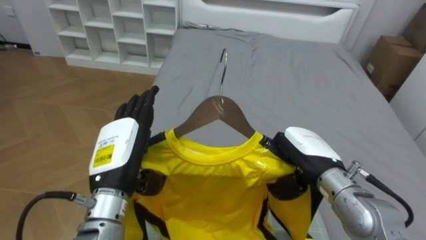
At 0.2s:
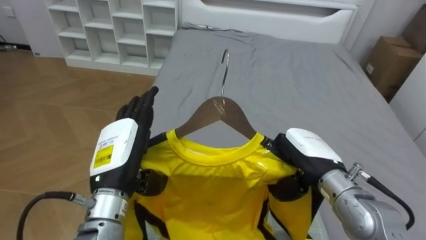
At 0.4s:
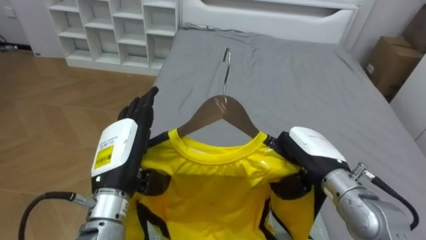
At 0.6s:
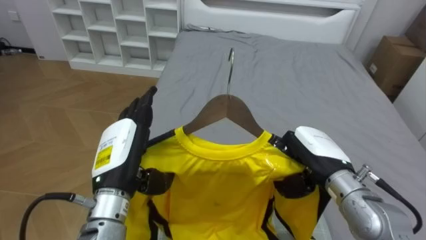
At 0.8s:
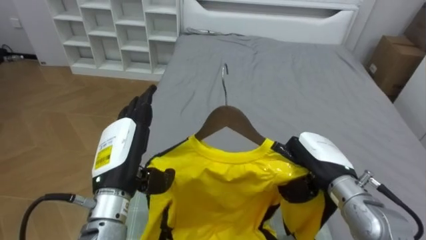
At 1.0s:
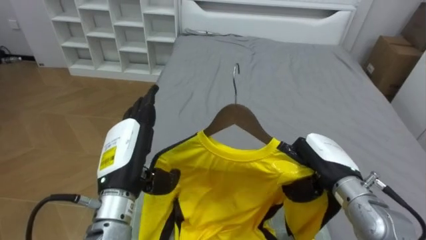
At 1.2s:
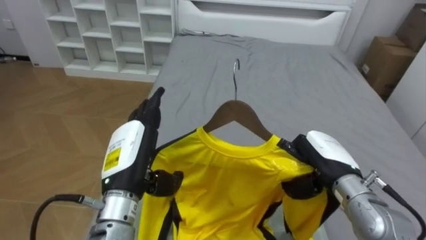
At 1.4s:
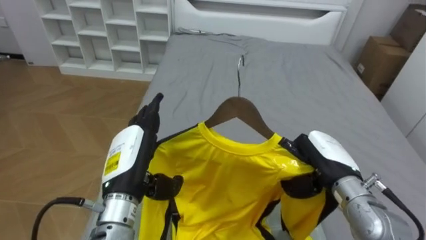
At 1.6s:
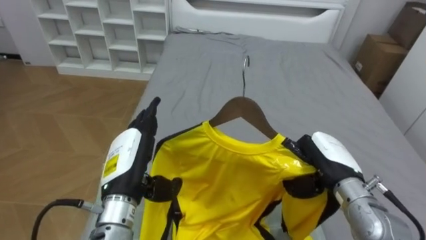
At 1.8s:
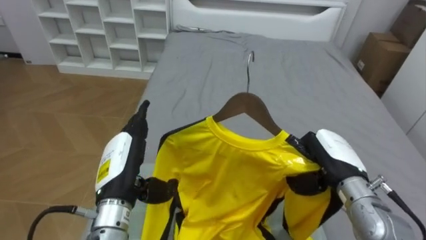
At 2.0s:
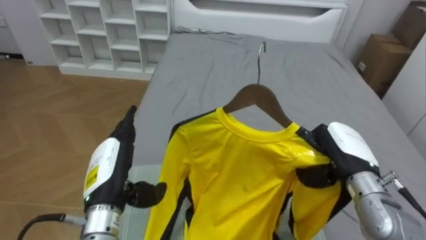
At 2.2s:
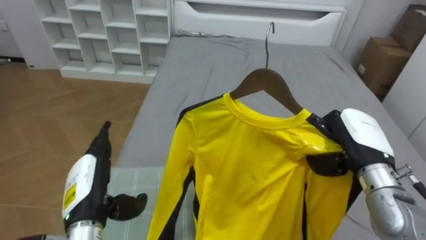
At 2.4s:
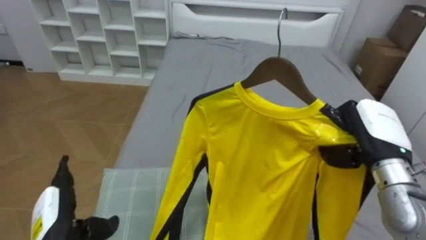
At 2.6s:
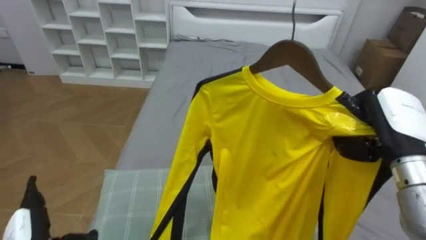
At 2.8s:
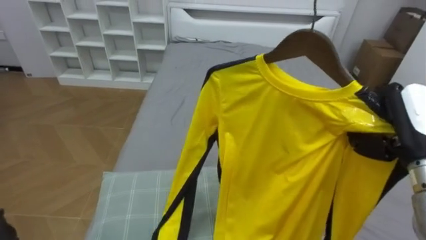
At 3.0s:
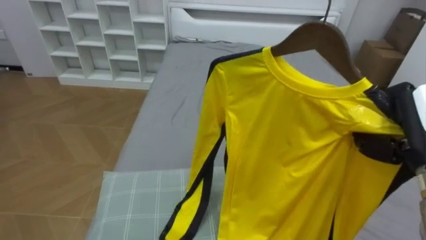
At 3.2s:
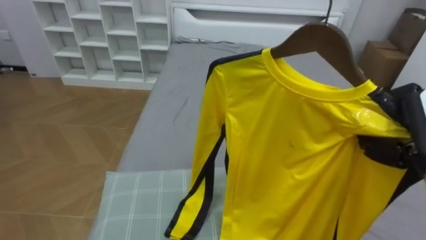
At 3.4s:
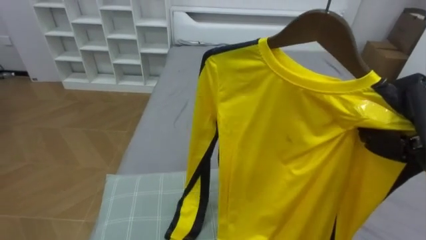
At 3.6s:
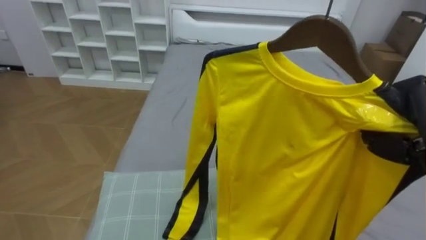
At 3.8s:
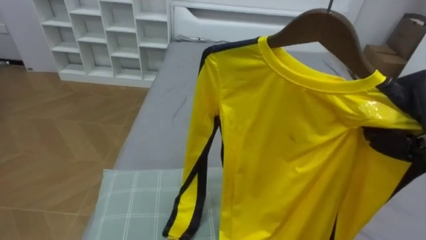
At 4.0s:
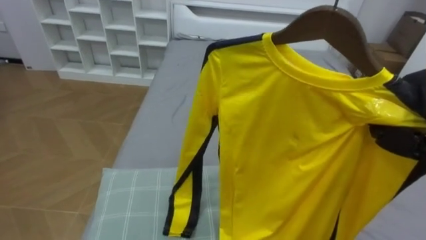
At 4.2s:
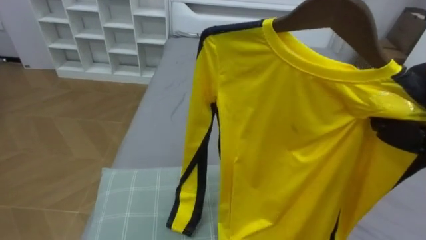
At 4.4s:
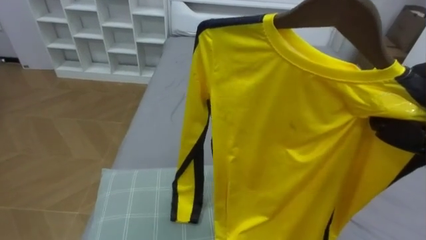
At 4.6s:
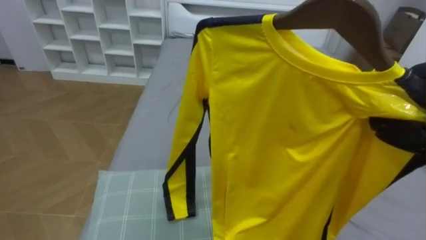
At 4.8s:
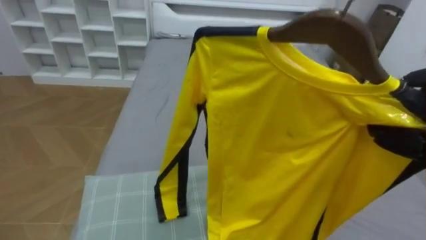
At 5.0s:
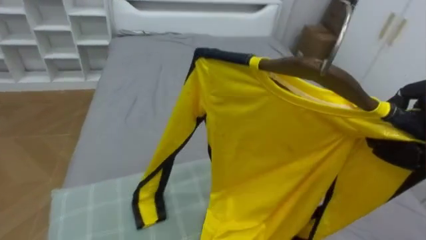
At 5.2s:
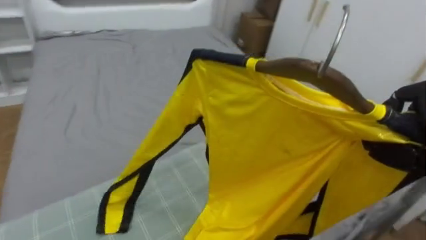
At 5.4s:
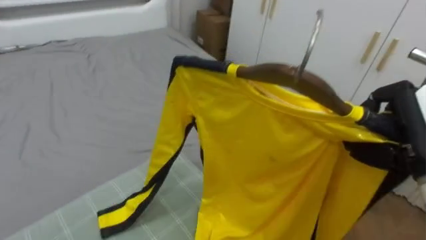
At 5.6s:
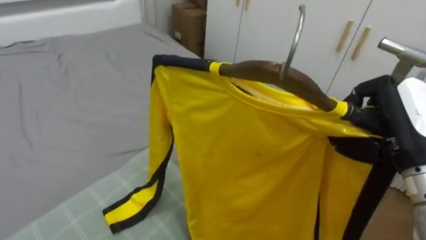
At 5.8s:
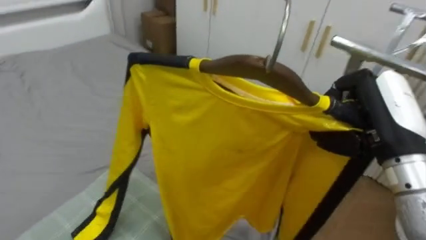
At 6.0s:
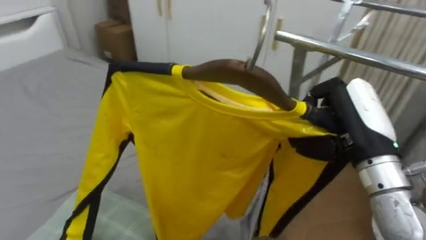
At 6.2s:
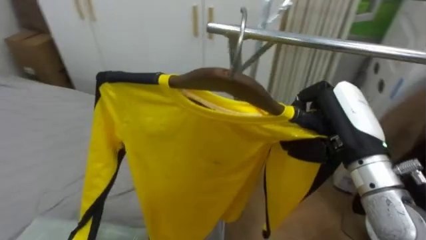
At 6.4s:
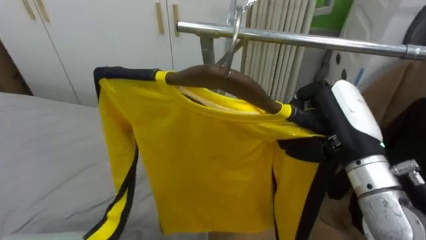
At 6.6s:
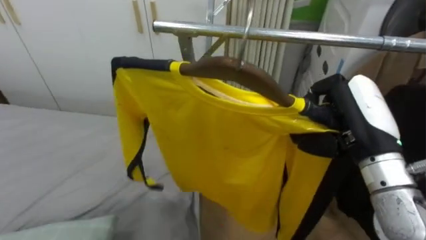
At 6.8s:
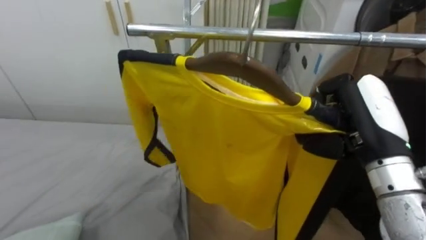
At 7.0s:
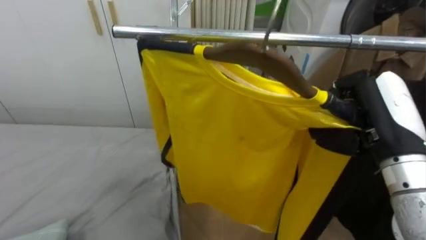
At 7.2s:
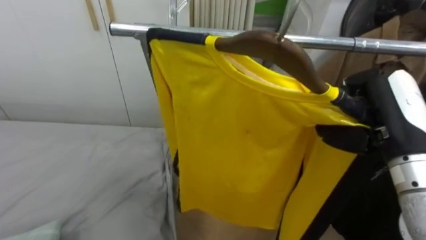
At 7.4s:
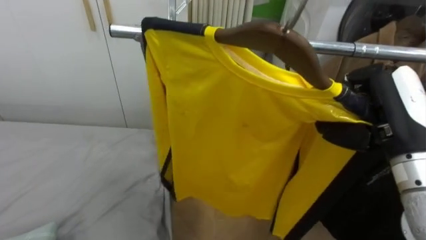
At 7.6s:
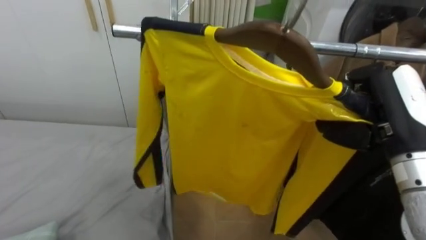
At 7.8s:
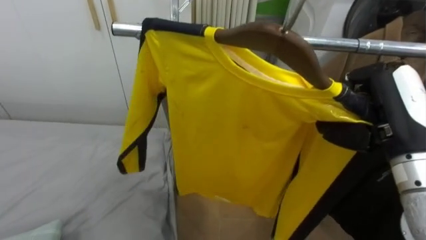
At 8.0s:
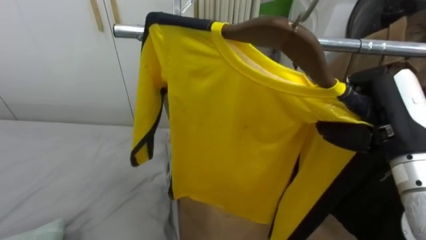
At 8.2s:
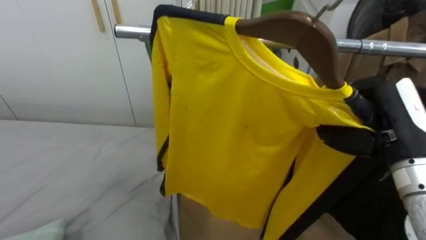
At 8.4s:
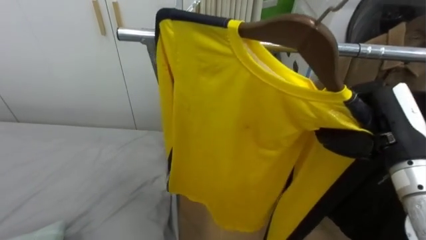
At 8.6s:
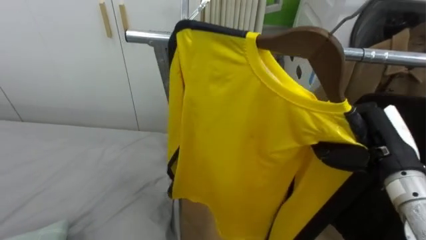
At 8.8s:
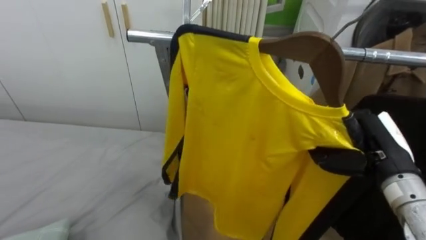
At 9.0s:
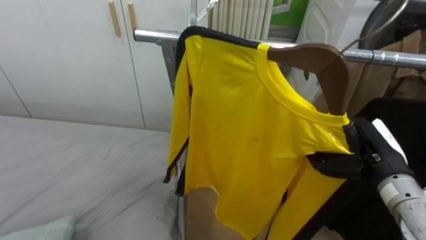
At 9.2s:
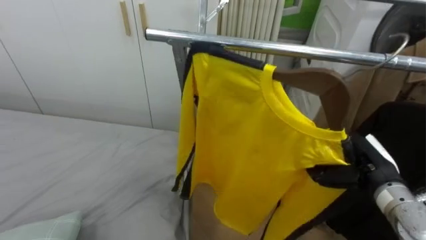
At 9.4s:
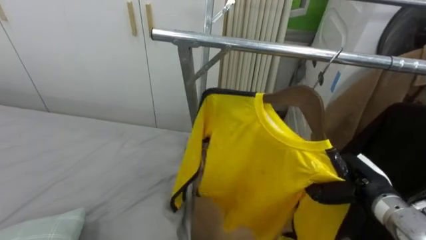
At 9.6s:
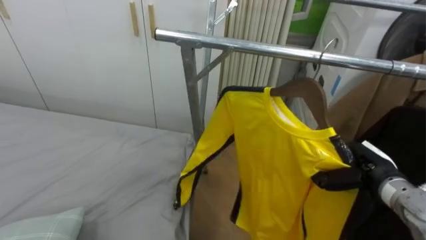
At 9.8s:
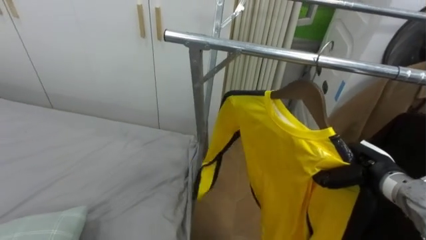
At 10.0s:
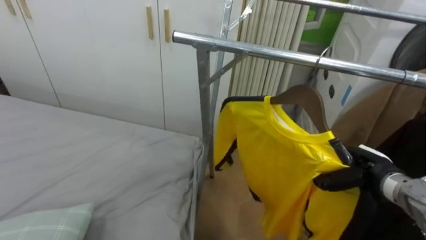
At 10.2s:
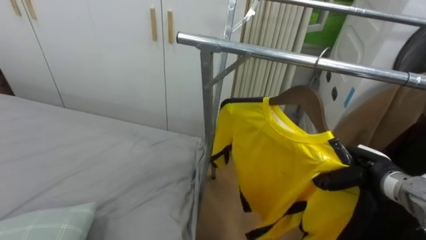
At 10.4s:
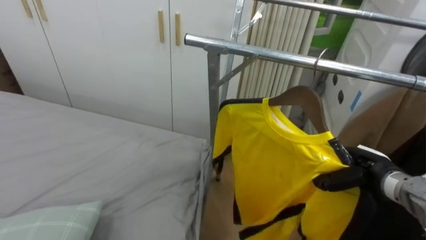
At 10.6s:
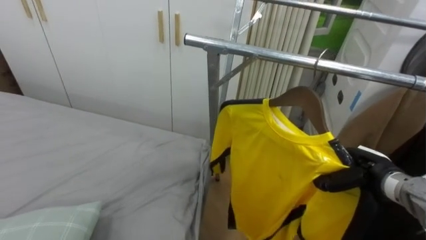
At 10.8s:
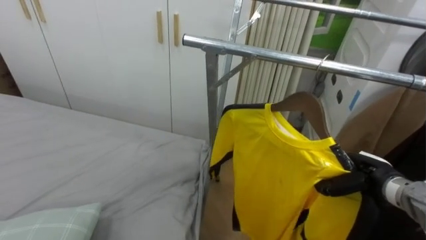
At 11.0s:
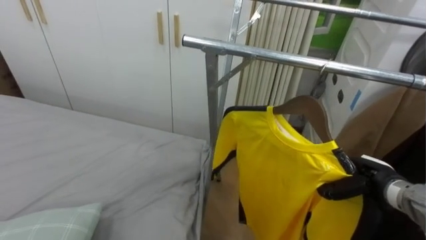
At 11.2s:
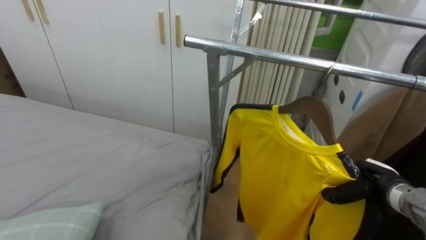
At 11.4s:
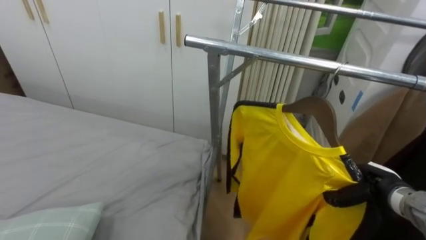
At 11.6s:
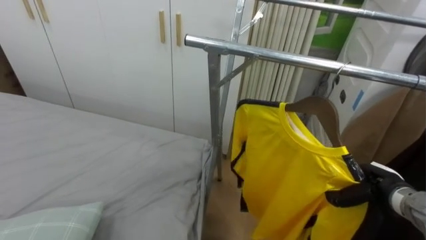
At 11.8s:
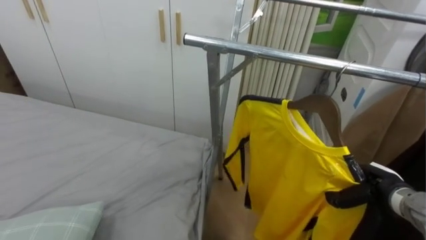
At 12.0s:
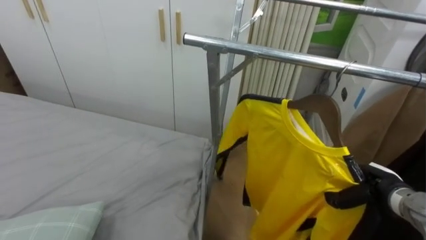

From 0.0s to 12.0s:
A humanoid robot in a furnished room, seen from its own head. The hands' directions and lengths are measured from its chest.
Task of the whole recording: Pick up the yellow shirt on the bed and hang it on the clothes rack on the right.
From 0.0s to 1.6s: The right hand changes place by about 5 cm.
From 1.6s to 3.0s: The right hand is displaced upward and to the right by some 15 cm.
From 4.4s to 6.0s: The robot faces about 60 degrees further to its right.
From 6.0s to 7.6s: The robot's body swings roughly 30 degrees to its right.
From 7.6s to 9.0s: The right hand travels downward by about 10 cm.
From 9.0s to 10.4s: The right hand shifts roughly 10 cm downward.

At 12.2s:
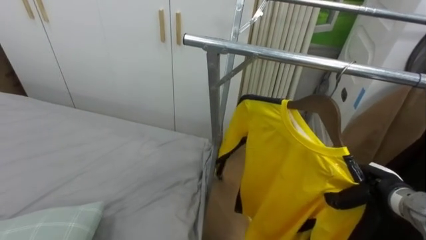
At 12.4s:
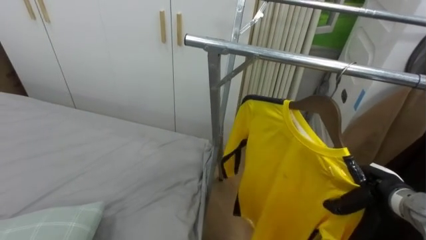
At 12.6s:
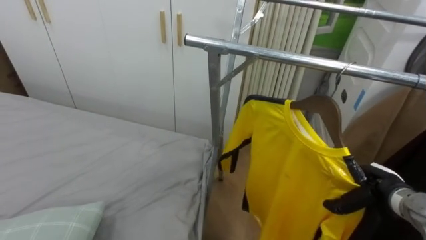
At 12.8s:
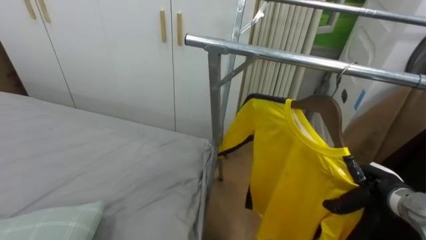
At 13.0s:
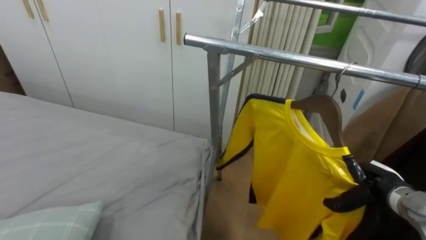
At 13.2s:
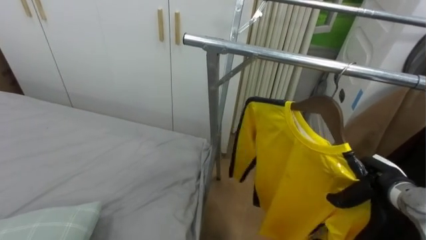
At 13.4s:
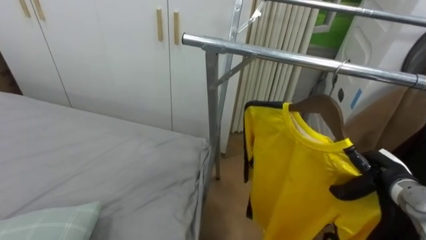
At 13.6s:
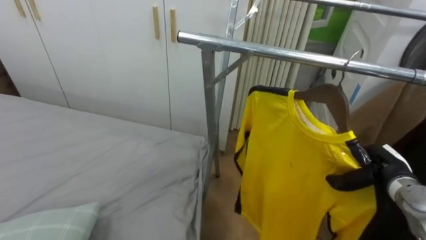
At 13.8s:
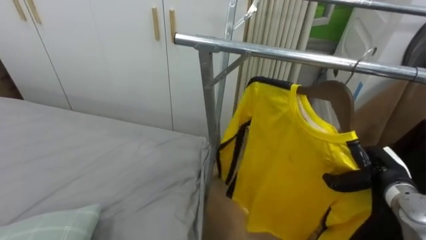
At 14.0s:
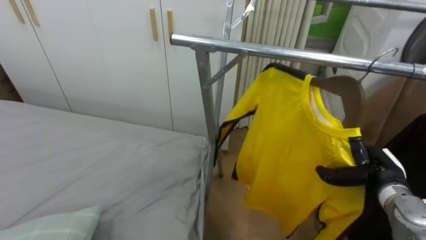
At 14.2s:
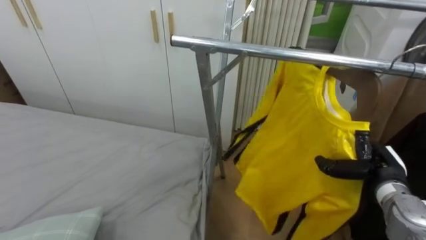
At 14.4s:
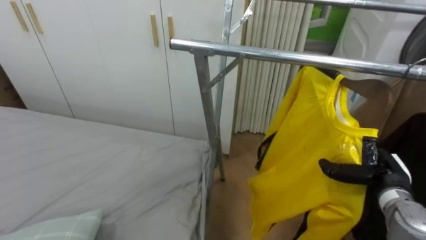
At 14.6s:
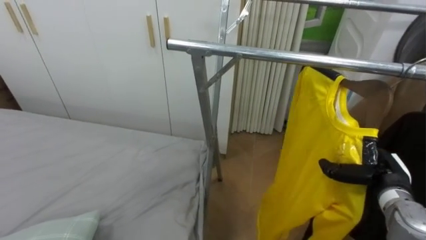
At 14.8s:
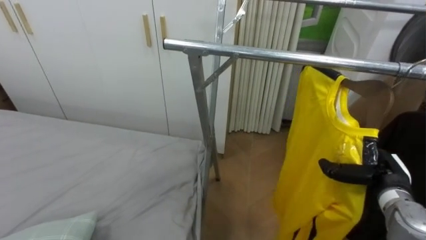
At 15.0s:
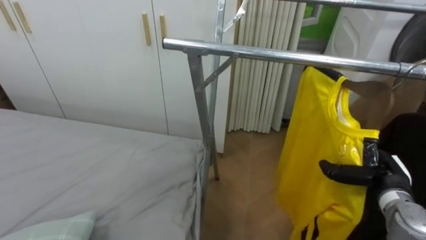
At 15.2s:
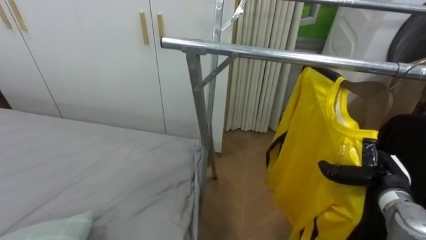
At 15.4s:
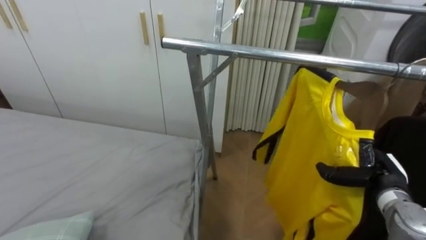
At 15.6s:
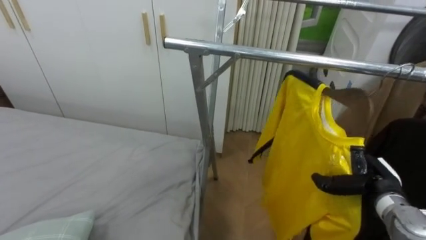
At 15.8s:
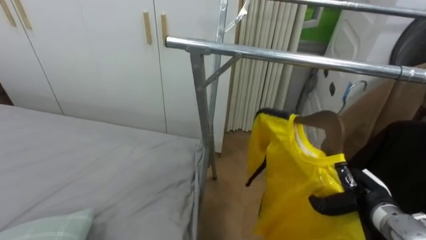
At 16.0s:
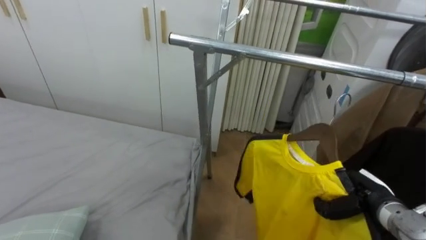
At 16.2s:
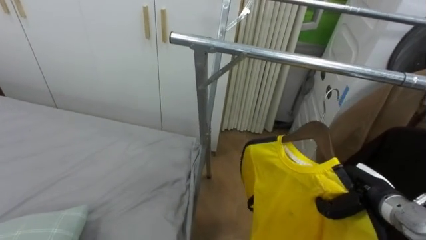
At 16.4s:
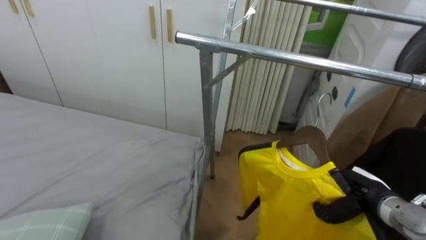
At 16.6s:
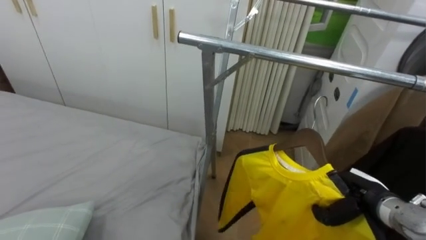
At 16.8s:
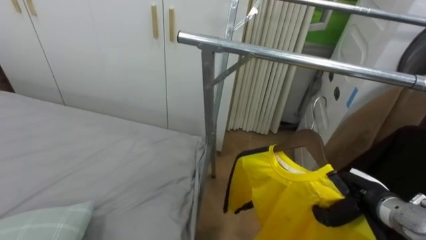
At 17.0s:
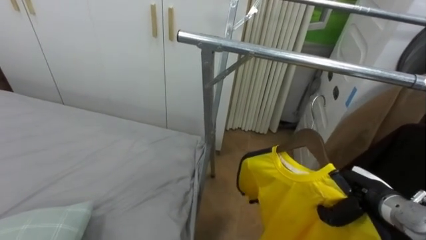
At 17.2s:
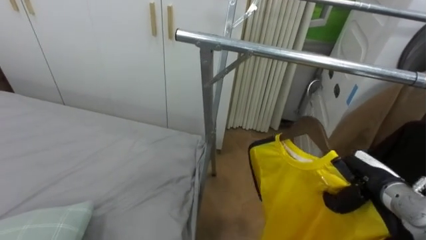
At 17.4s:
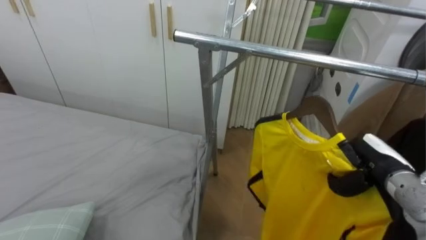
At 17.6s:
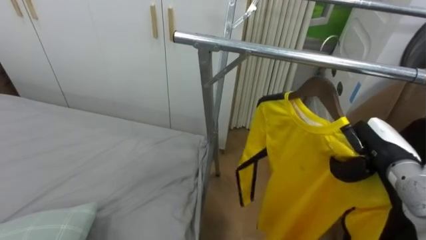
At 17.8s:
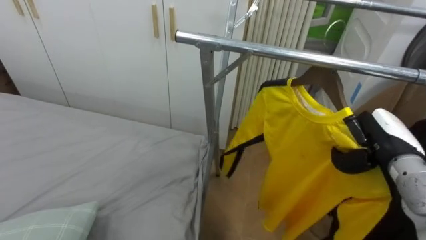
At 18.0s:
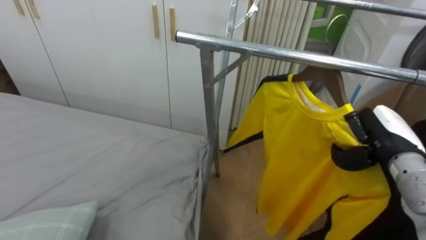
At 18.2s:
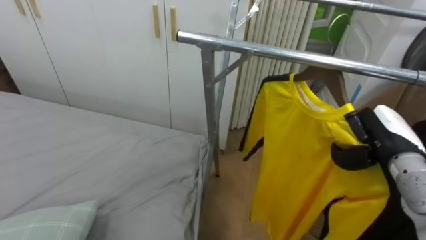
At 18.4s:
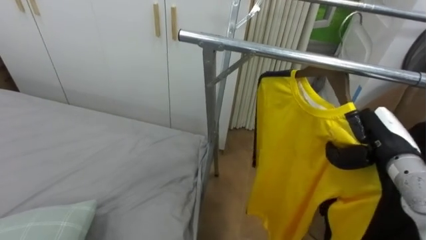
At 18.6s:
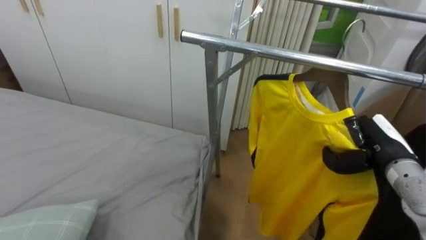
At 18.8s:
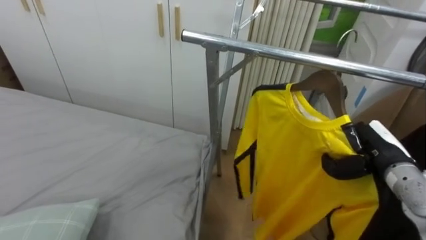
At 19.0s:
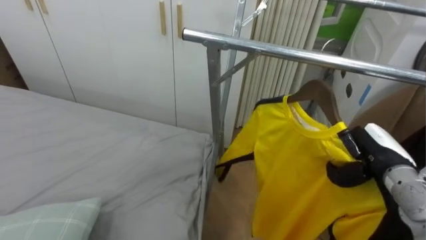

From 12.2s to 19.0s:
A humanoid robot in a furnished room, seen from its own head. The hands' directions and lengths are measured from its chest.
Task of the whole recording: Pick up the yellow shirt on the bed and hang it on the clothes rack on the right.
From 16.2s to 17.6s: The right hand shifts some 10 cm upward.
